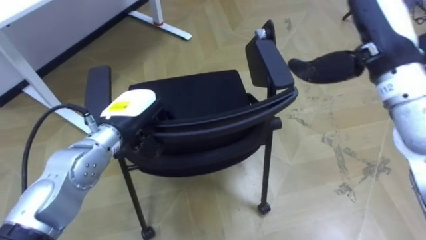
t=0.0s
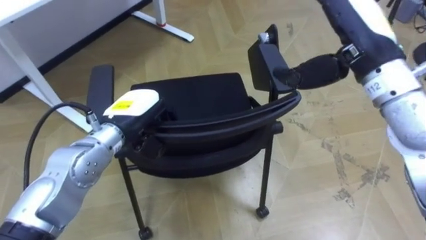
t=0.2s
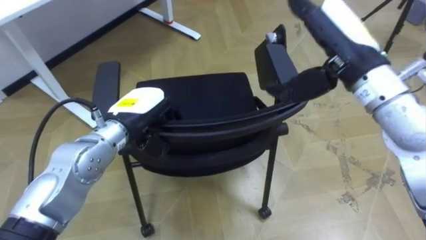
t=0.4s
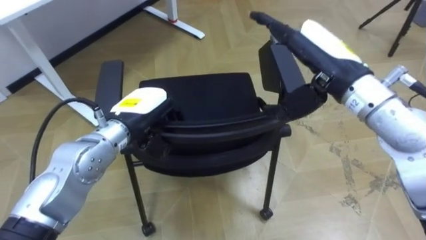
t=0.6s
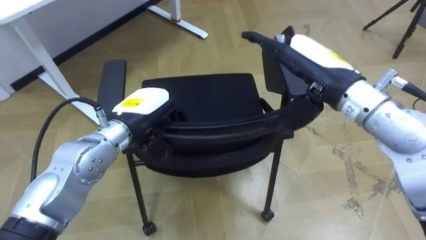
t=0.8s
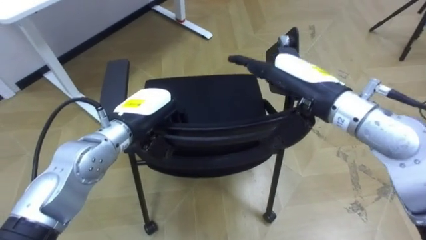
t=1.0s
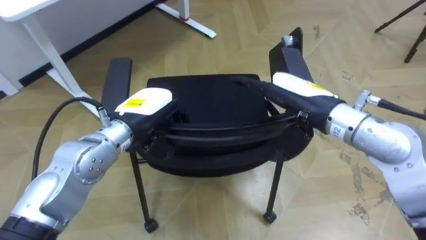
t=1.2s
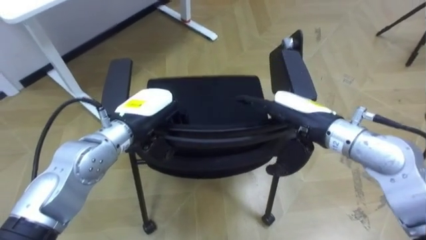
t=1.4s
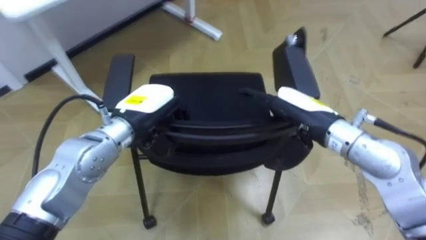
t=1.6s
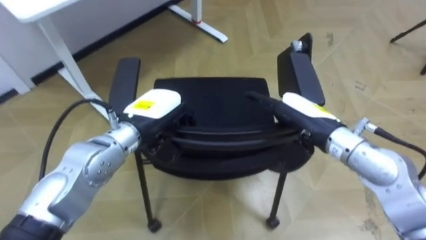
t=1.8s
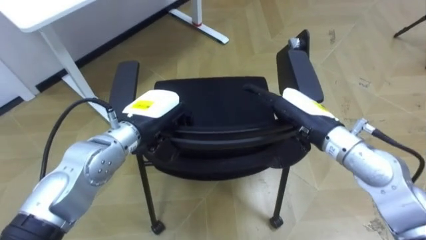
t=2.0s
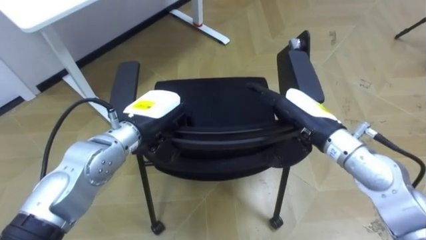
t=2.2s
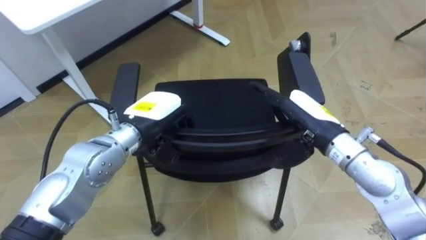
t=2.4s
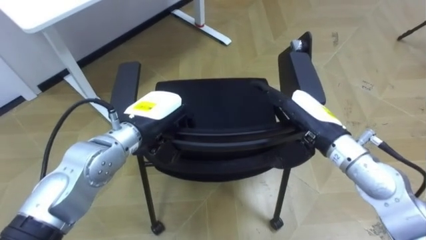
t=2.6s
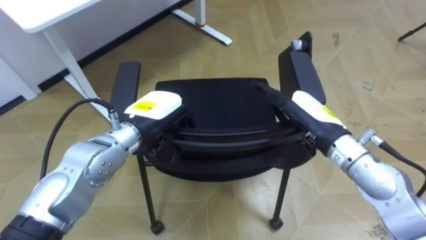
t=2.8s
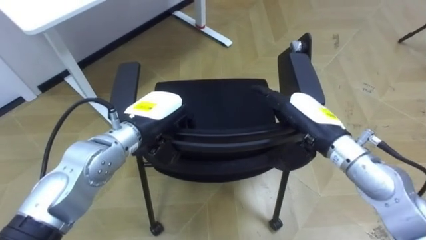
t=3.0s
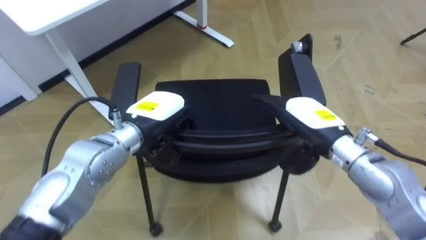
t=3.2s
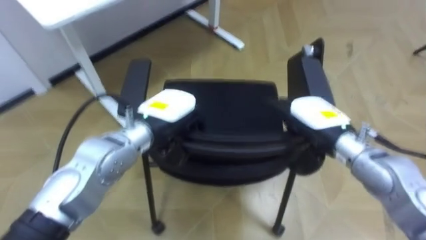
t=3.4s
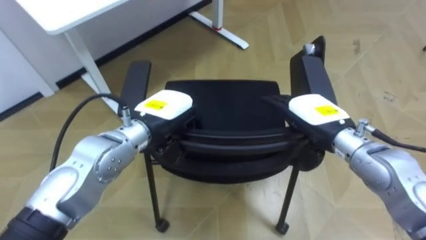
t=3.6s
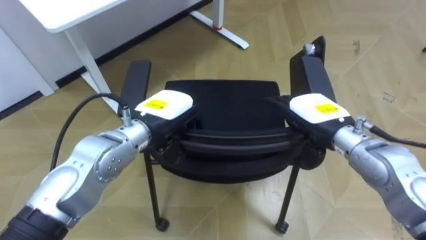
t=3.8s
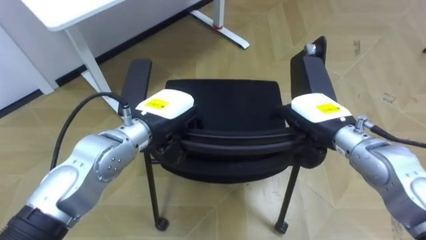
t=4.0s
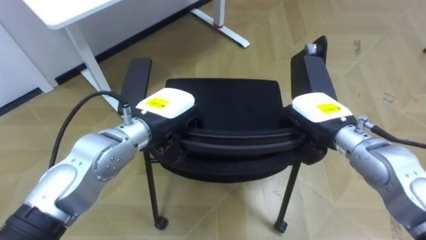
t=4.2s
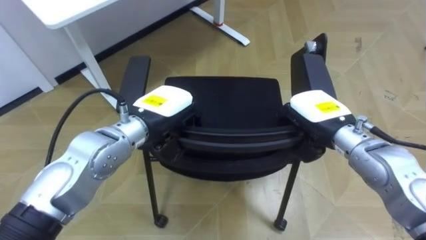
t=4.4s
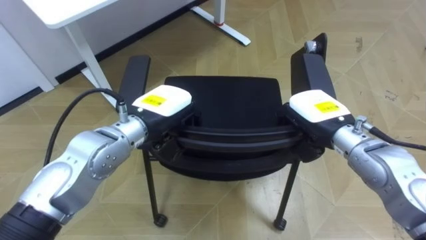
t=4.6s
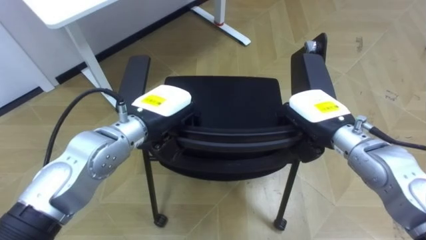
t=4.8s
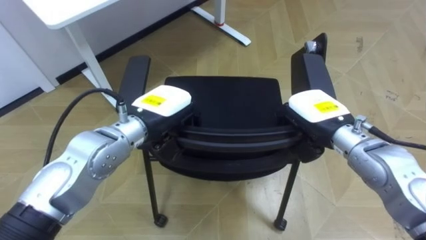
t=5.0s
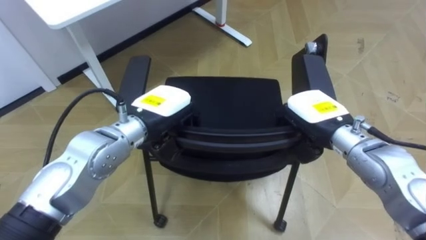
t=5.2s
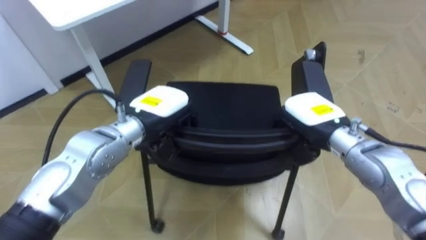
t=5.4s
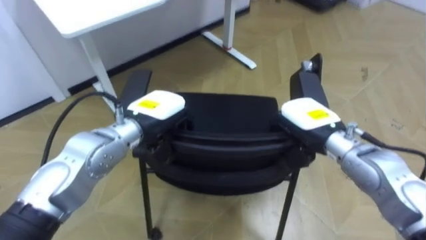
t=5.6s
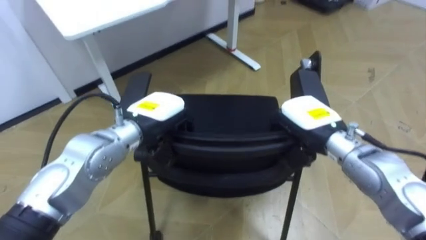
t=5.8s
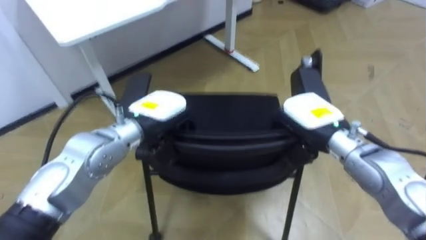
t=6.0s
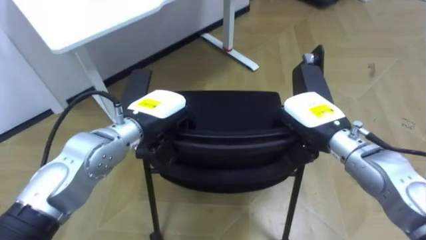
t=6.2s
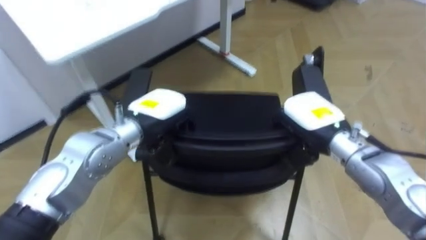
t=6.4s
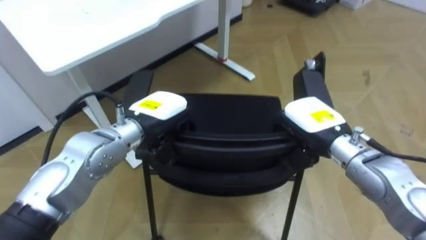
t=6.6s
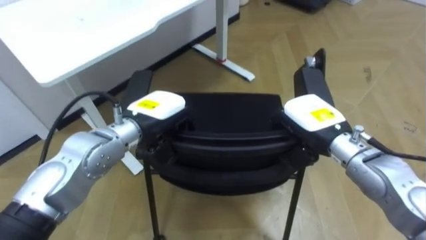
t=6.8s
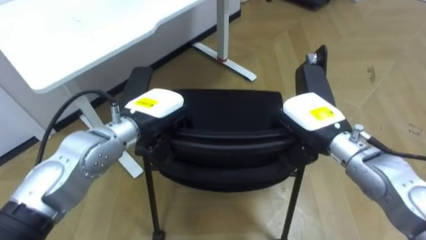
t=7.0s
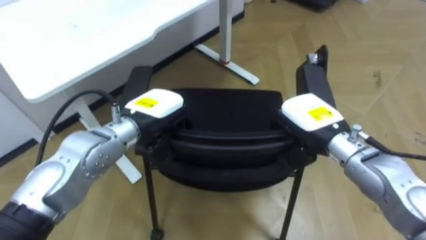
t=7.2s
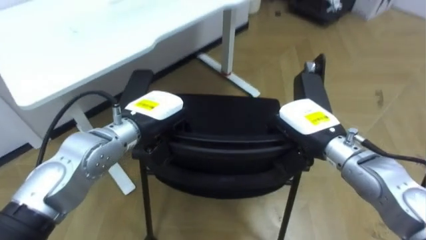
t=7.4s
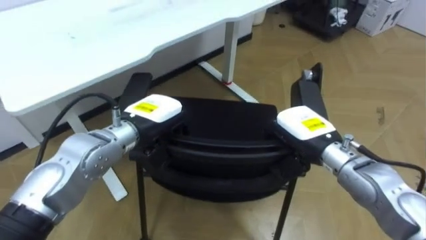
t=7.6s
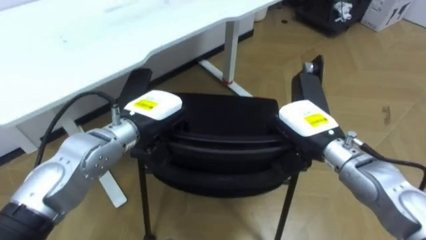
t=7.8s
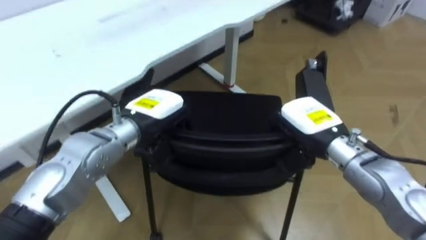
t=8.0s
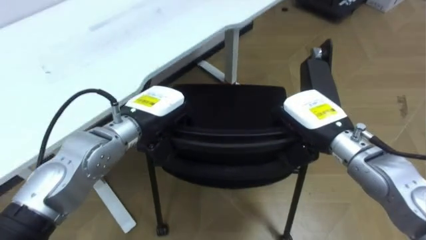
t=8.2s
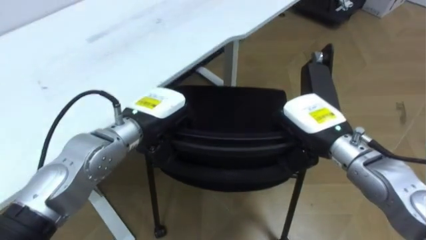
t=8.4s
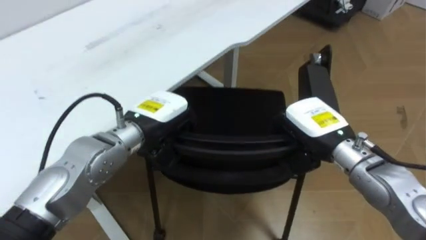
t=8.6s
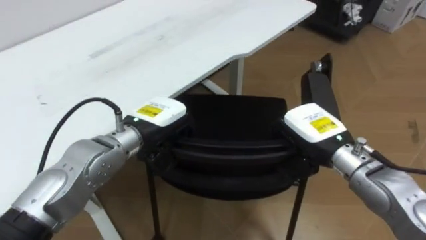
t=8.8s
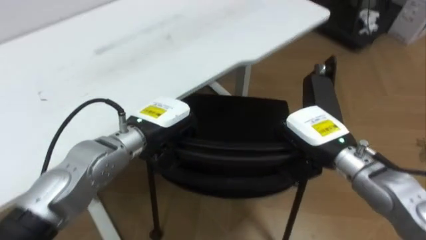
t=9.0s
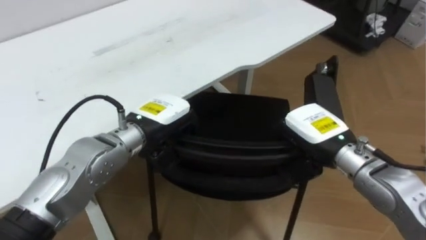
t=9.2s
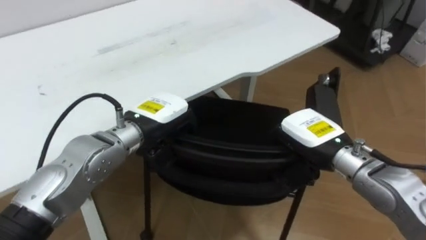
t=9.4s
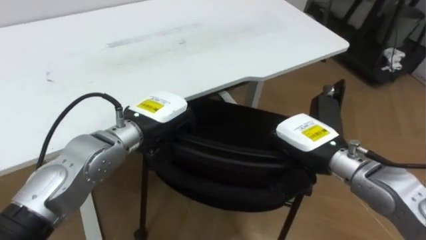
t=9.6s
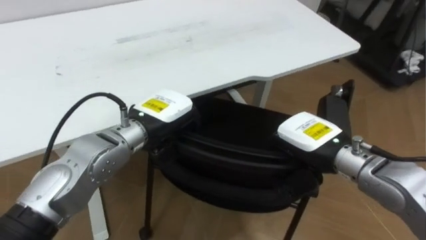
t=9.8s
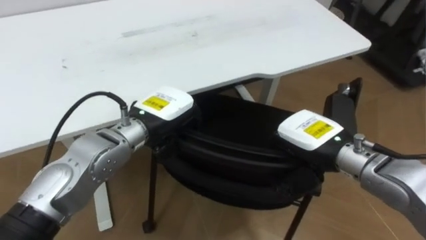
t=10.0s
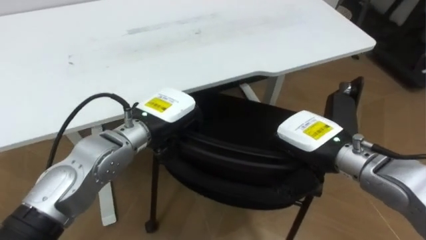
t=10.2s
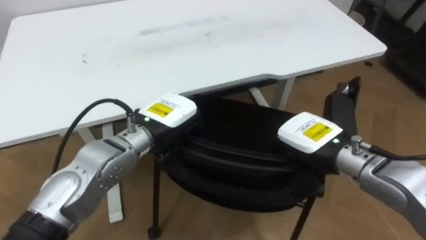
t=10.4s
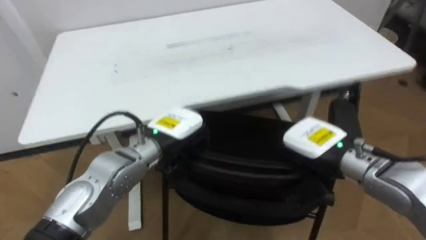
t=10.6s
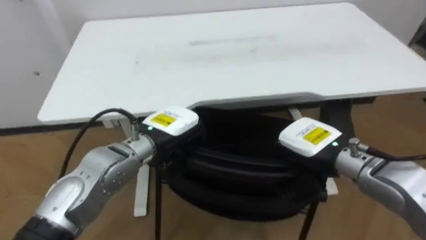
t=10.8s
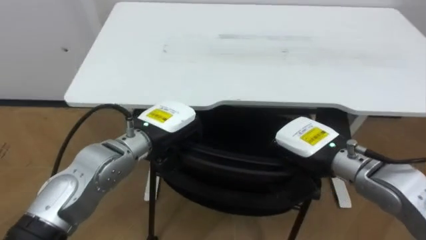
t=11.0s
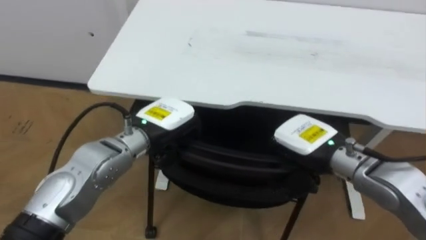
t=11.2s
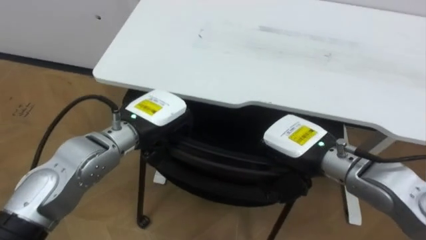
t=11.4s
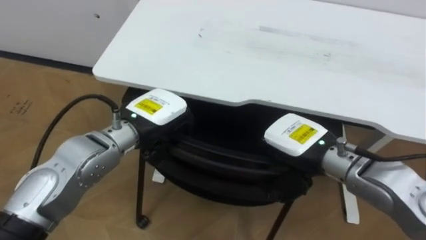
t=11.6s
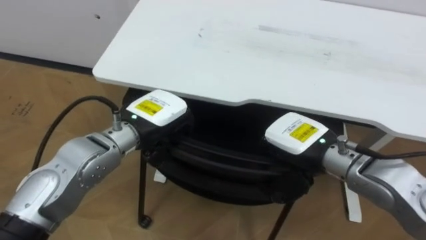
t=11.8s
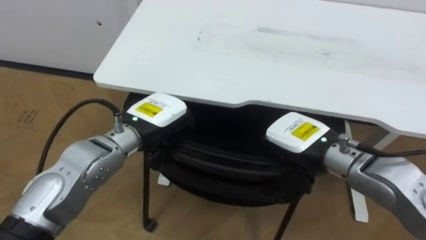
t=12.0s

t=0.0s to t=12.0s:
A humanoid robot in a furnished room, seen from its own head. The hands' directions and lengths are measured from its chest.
Task of the whole recording: Push the chair under the table.
t=0.0s to t=1.6s: The right hand travels downward by approximately 15 cm.
t=3.0s to t=4.4s: The right hand closes its fingers.
t=9.0s to t=10.4s: The robot's body swings some 20 degrees to its left.
t=10.4s to t=12.0s: The robot rotates some 25 degrees to its left.

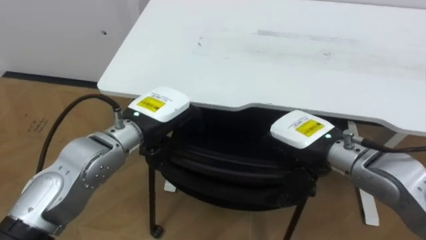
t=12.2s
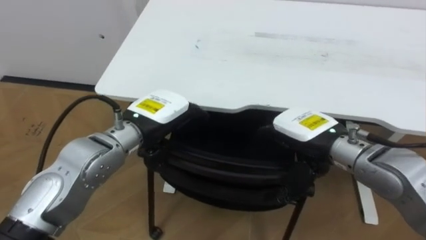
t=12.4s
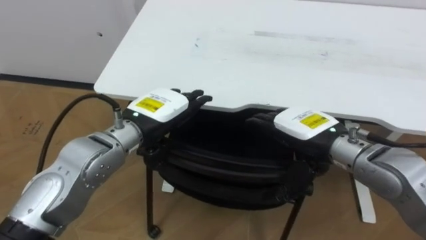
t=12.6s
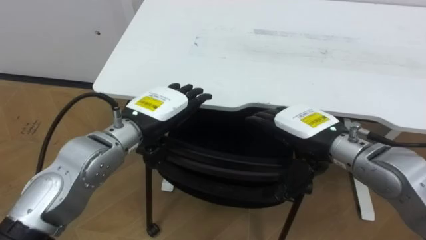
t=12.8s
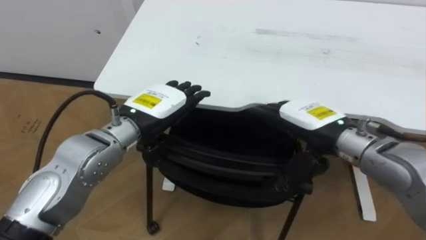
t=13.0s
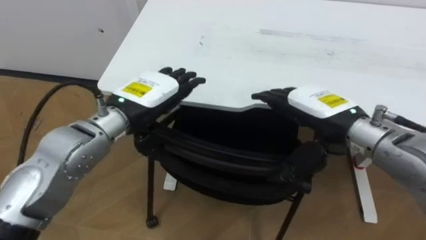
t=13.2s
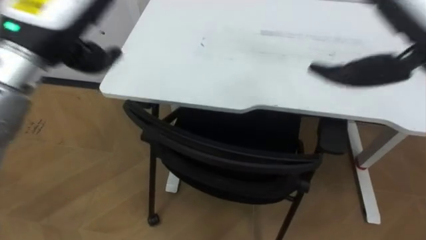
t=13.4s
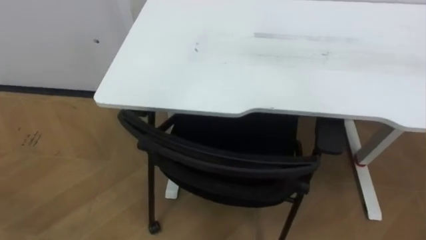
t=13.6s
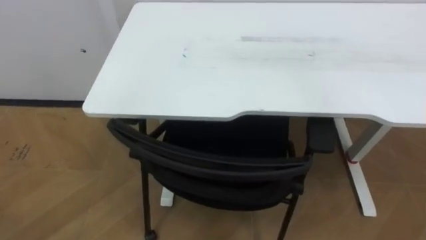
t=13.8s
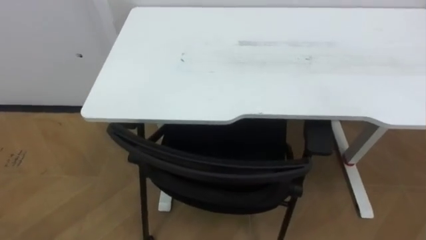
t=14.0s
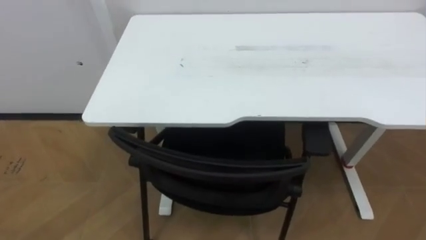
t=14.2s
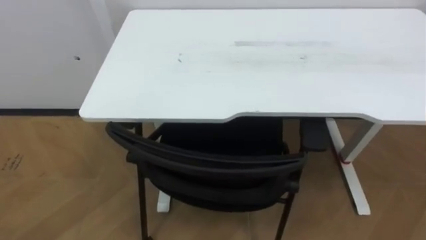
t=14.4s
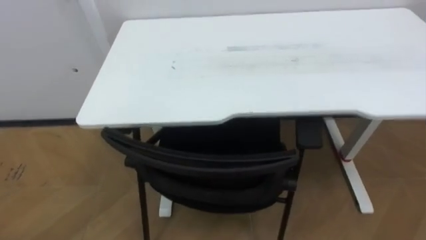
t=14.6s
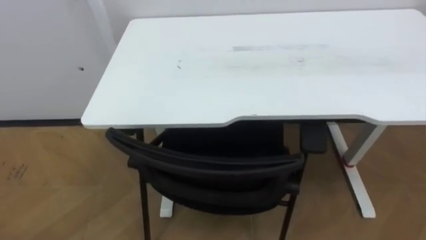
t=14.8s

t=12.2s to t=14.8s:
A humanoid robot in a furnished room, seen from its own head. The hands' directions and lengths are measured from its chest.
Task of the whole recording: Push the chair under the table.
t=12.2s to t=13.4s: The left hand moves upward and to the left, roughly 20 cm, and opens its fingers.

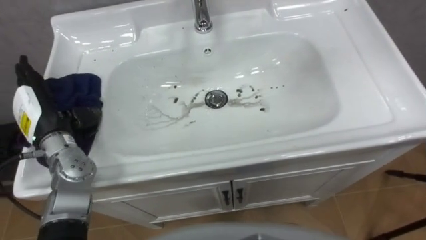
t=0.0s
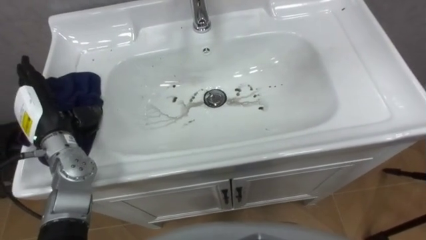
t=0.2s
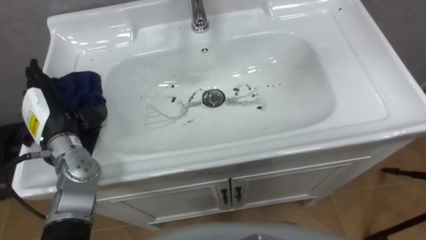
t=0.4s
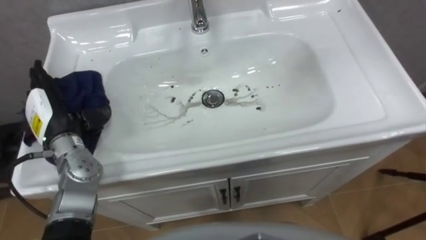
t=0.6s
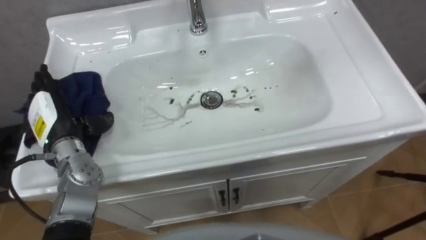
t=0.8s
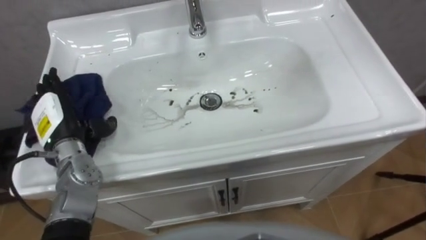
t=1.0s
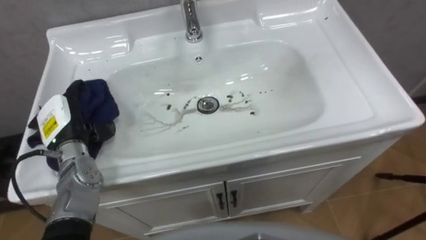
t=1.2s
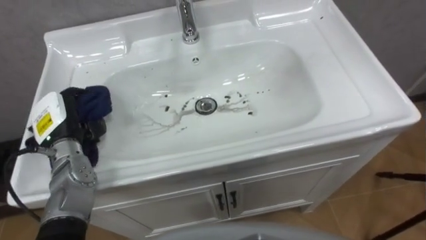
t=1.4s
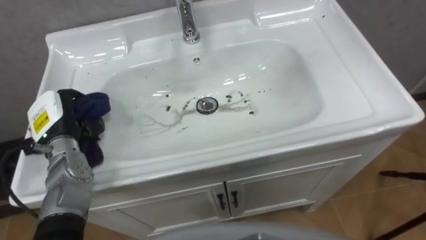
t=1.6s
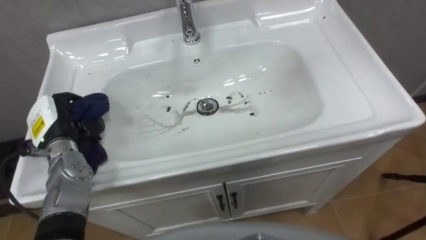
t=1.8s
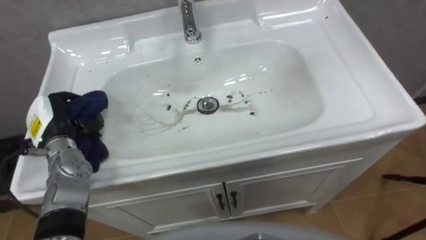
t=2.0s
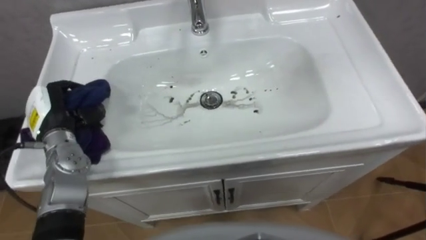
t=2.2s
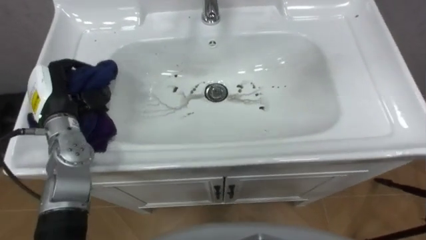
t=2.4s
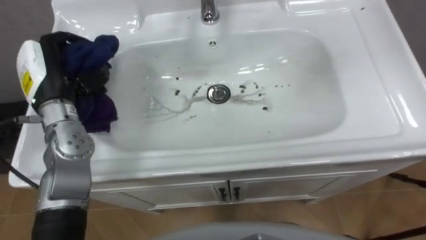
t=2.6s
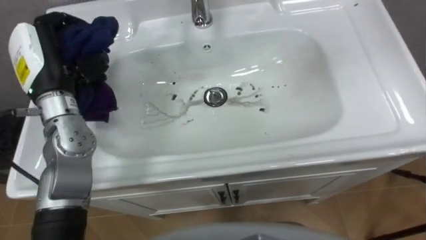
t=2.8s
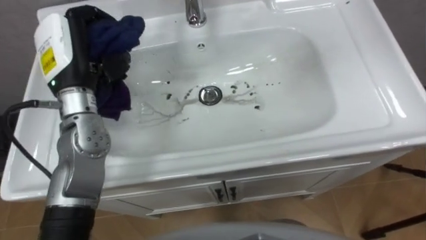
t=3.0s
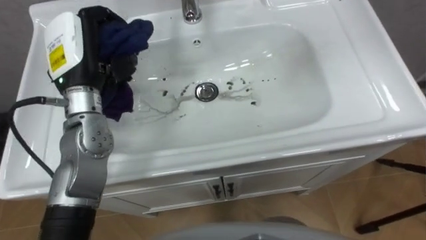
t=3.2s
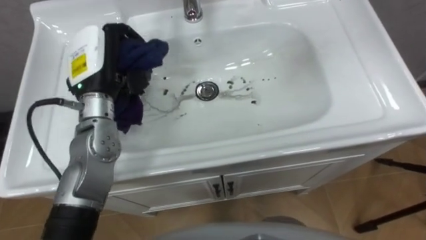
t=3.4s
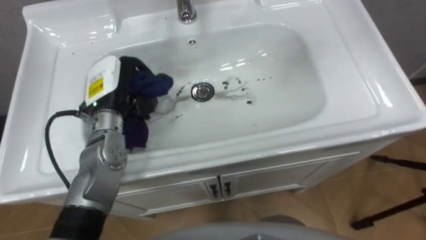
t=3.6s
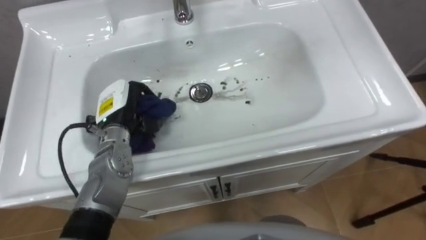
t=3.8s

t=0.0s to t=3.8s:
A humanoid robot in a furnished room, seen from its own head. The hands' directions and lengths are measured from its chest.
Task of the whole recording: Use the cloth on the right to wipe away the black stain in the sink.
t=0.0s to t=1.2s: The left hand changes place by some 5 cm.
t=1.2s to t=2.6s: The left hand moves upward, roughly 10 cm, and closes up.
t=2.6s to t=3.8s: The left hand travels downward and to the right by approximately 15 cm.
